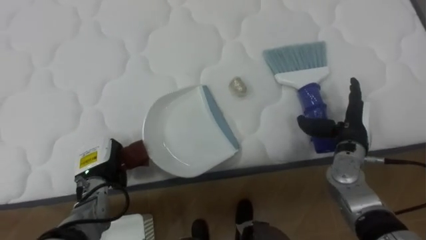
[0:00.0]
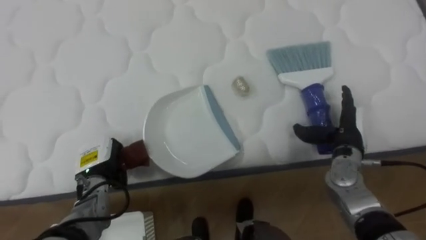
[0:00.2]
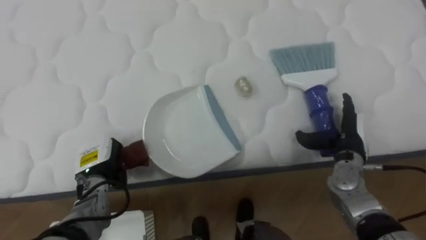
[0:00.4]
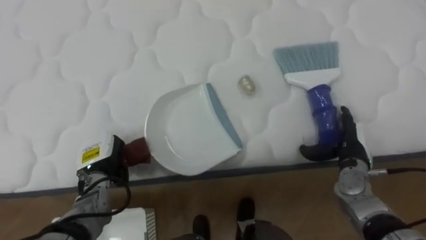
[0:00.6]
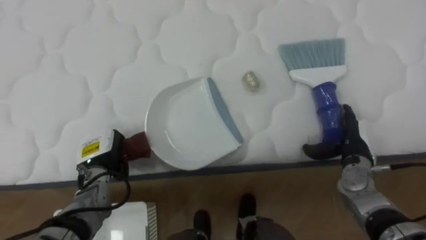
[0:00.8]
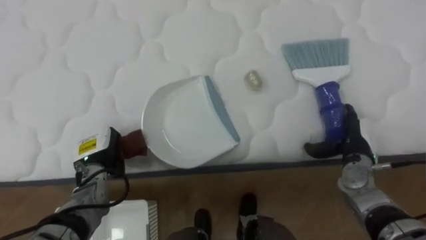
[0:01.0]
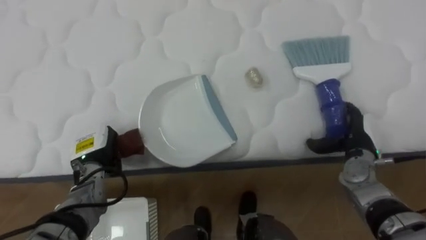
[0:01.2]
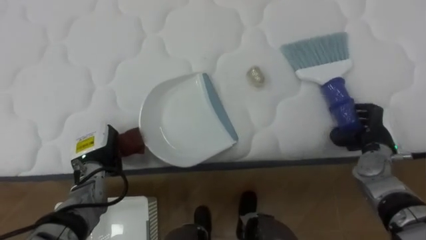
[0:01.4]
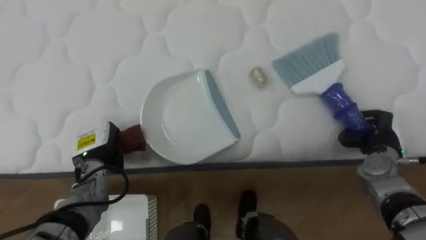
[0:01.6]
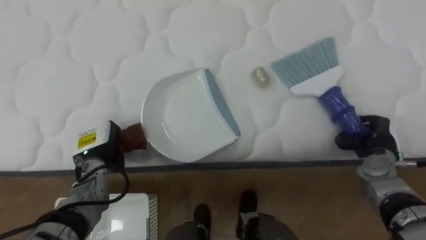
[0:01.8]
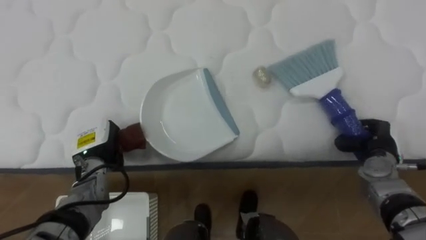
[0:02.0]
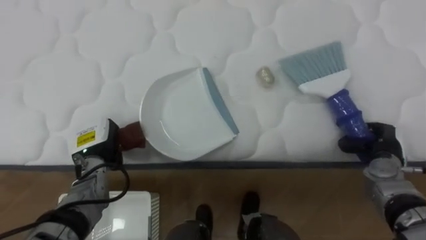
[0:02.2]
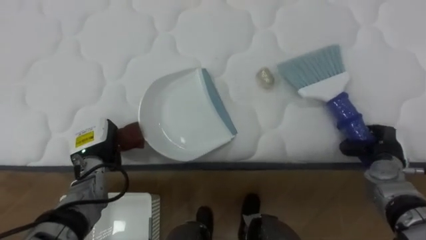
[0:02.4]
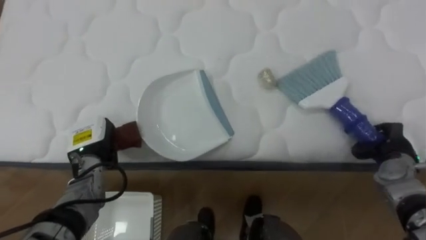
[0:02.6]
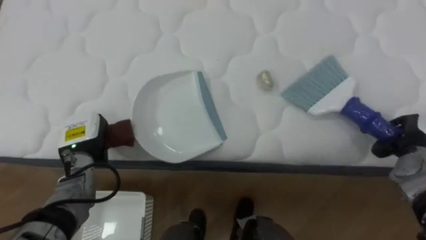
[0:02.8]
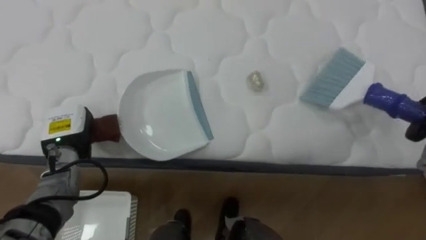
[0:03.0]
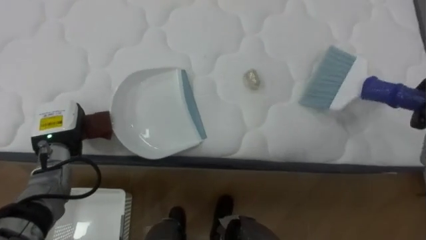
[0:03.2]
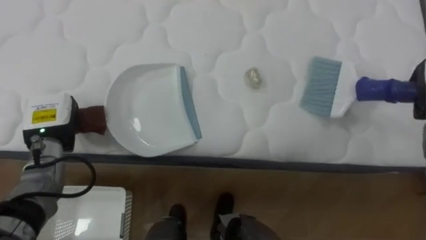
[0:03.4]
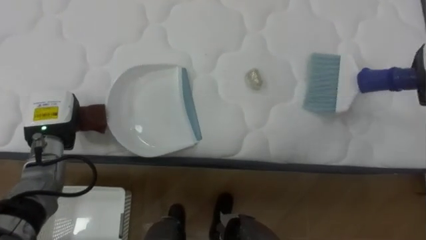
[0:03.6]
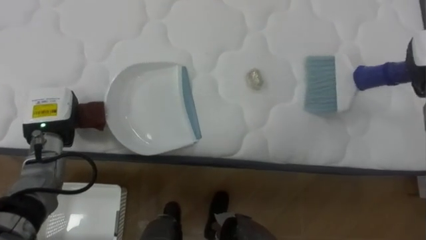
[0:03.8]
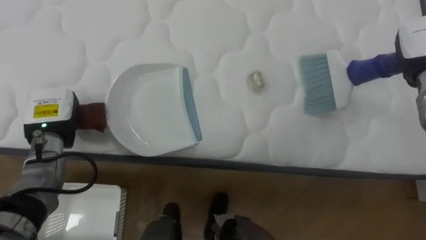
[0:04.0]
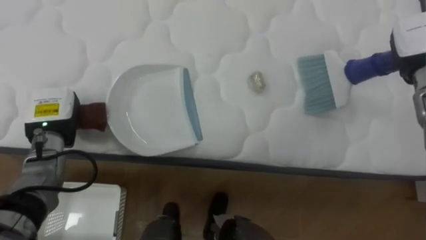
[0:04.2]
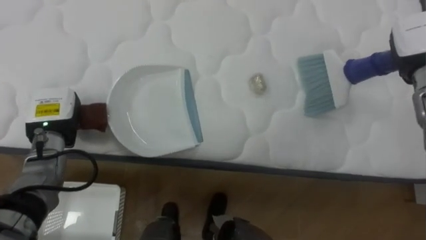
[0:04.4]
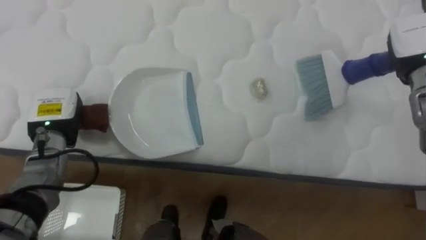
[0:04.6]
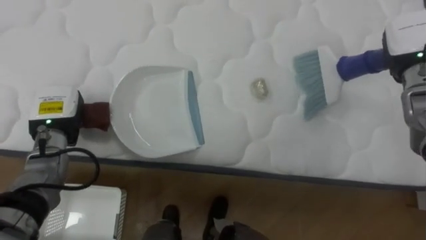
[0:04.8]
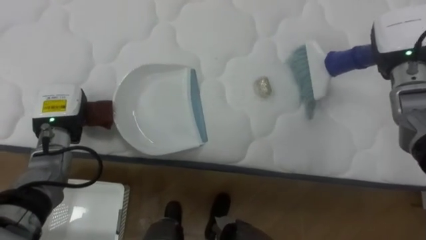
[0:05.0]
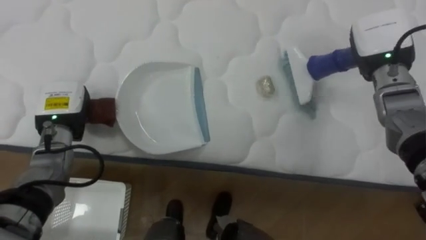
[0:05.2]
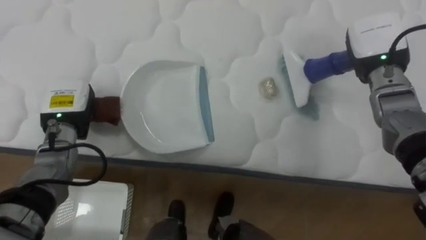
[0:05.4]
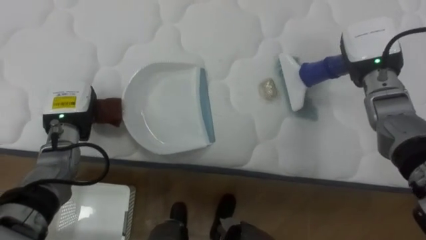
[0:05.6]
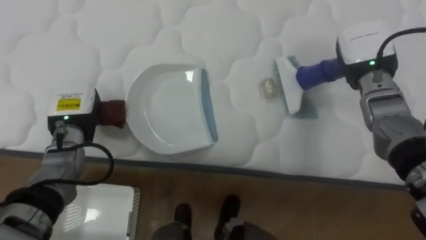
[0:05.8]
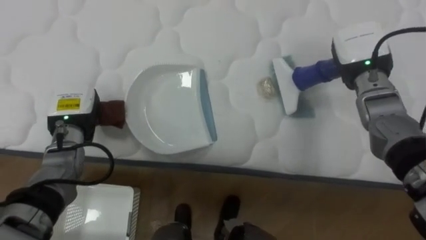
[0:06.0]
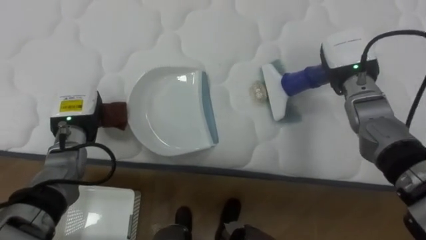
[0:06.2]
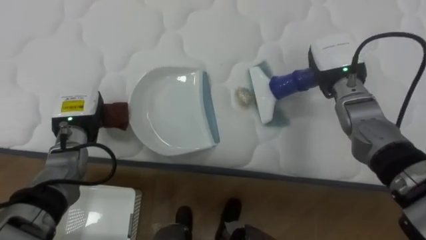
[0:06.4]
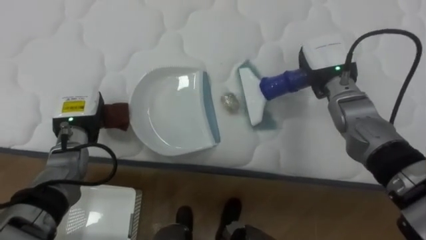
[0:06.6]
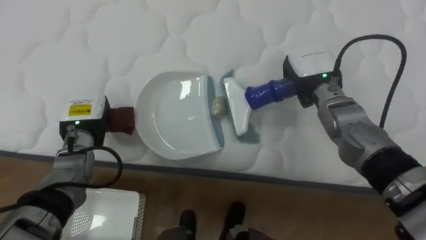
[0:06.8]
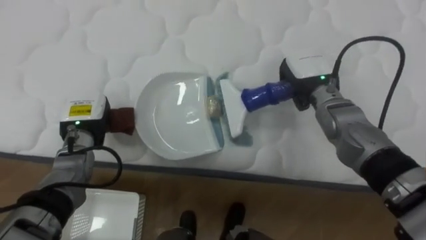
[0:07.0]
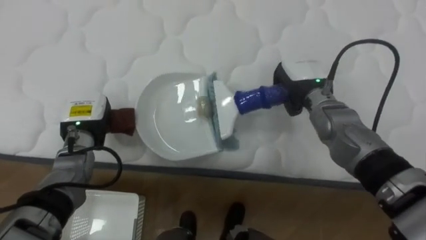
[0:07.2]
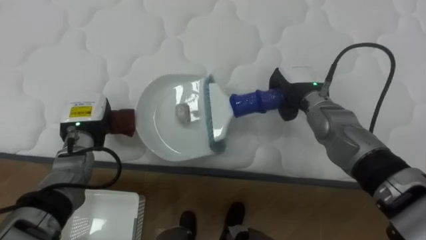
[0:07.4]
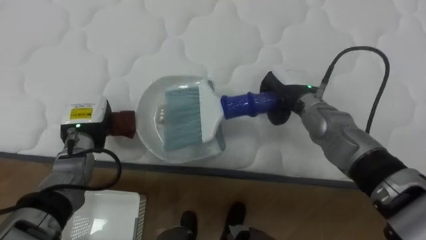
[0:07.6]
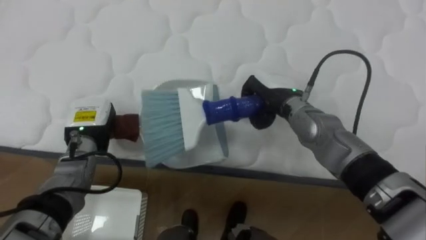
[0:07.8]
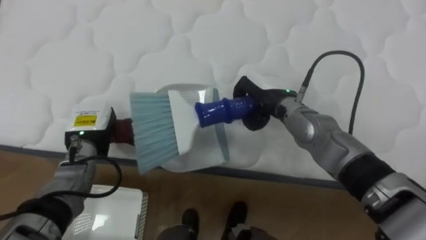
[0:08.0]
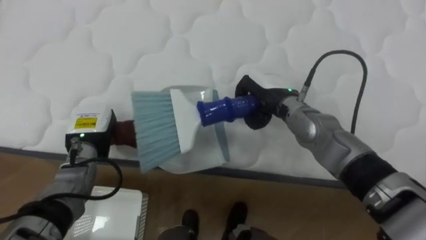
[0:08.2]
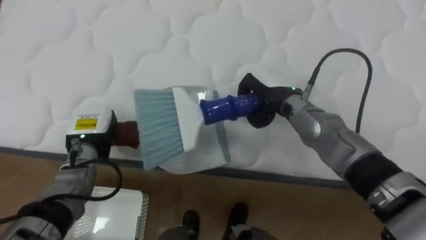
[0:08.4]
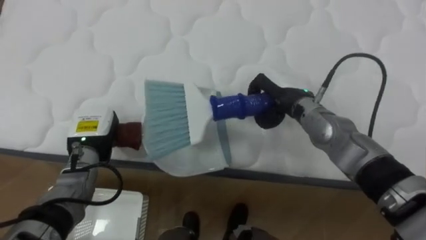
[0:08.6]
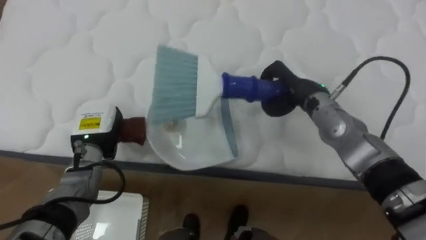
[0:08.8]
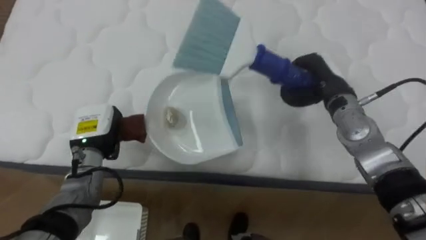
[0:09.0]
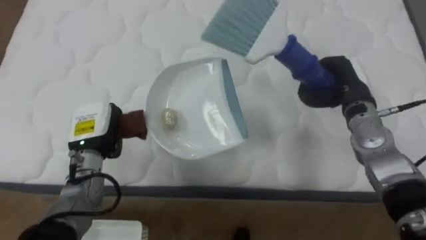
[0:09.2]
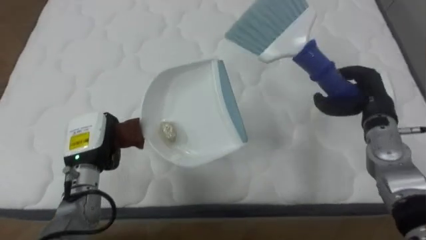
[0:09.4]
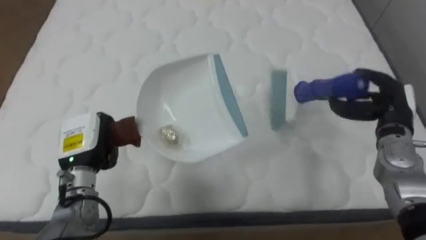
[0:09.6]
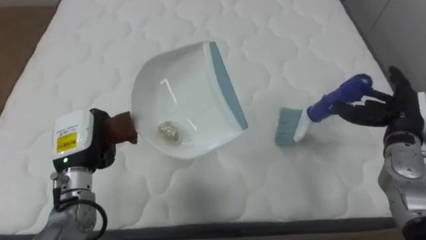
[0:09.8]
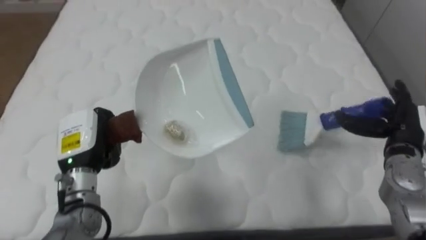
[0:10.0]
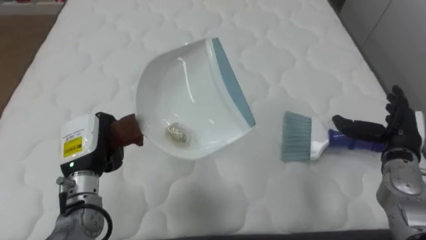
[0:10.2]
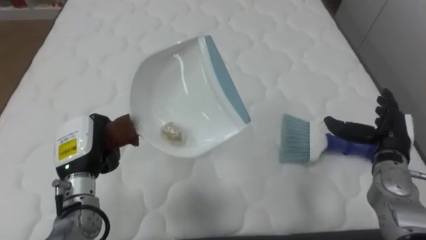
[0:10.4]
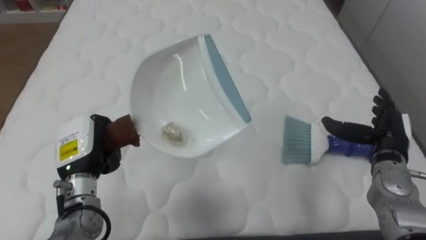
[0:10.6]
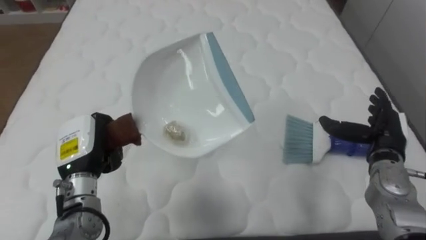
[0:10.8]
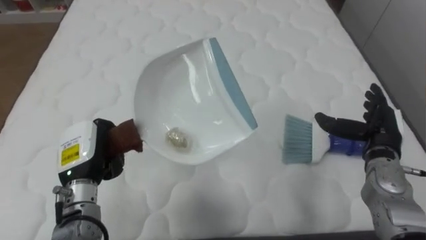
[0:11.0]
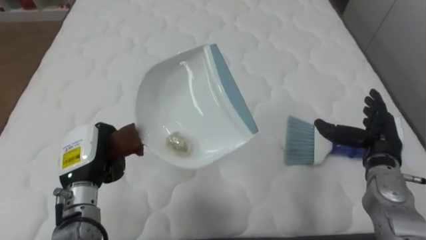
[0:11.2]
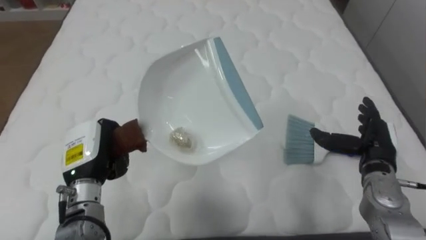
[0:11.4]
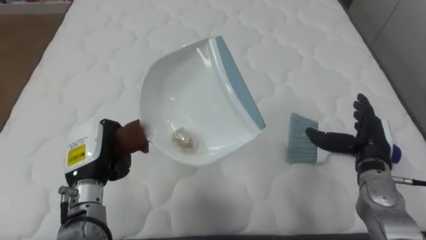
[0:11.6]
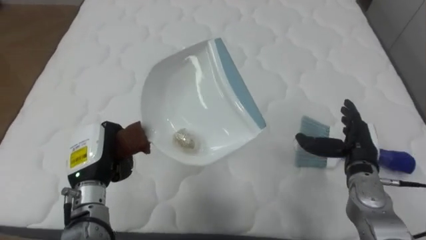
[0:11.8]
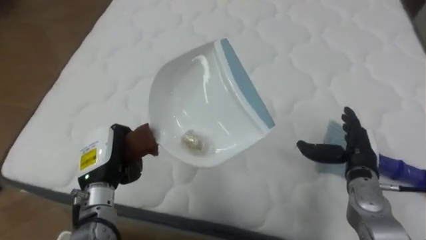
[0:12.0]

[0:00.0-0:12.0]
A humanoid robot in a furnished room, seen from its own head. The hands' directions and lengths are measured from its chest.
Task of the whole recording: Pick up the brush on your right and the dustpan on your left. Use the brush to sweep the crumpled paper on the bed into the dustpan, then turn left and empty it into the basket.
0:00.0 to 0:01.6: The right hand heads to the right, covering roughly 5 cm, and closes.
0:01.6 to 0:03.0: The left hand moves some 5 cm.
0:04.4 to 0:06.0: The right hand moves to the left, about 10 cm.
0:06.0 to 0:07.6: The right hand goes about 10 cm to the left and downward.
0:07.6 to 0:09.0: The right hand is displaced to the right by approximately 5 cm.
0:09.0 to 0:10.4: The right hand shifts about 15 cm to the right, backward and downward, and opens. The left hand goes approximately 5 cm backward.
0:10.4 to 0:12.0: The right hand heads to the left, covering approximately 5 cm.

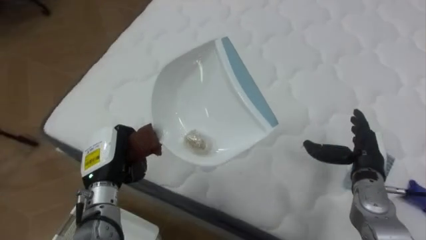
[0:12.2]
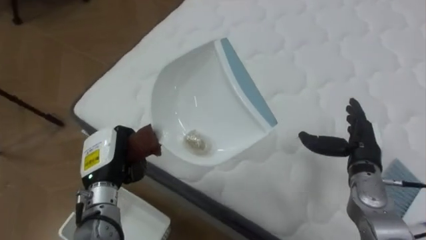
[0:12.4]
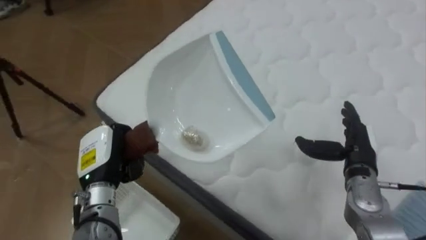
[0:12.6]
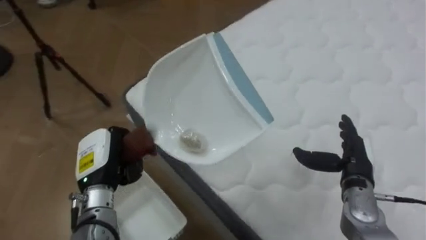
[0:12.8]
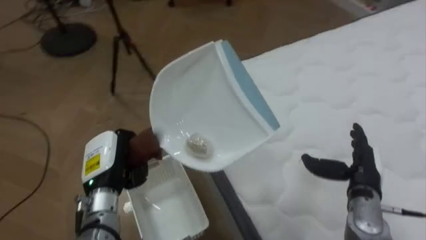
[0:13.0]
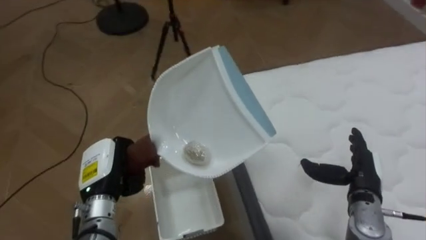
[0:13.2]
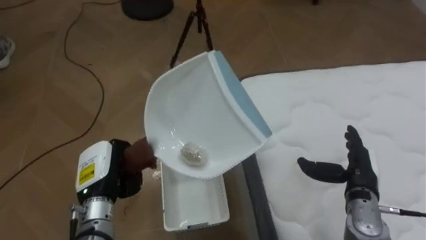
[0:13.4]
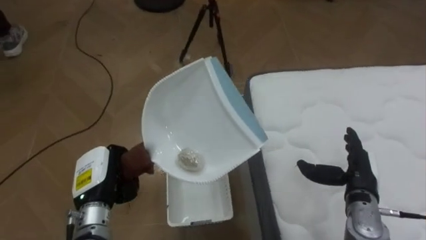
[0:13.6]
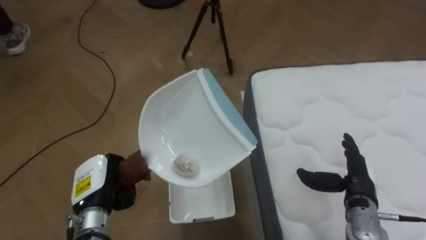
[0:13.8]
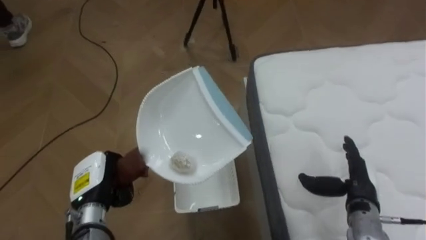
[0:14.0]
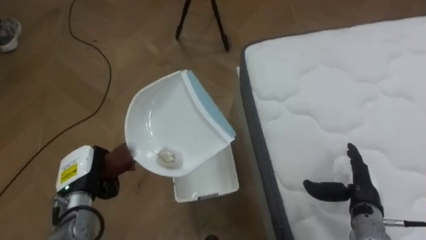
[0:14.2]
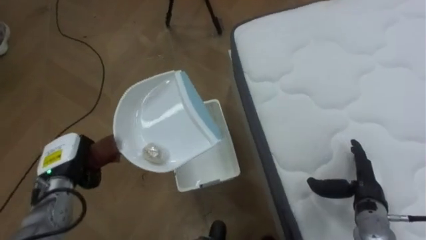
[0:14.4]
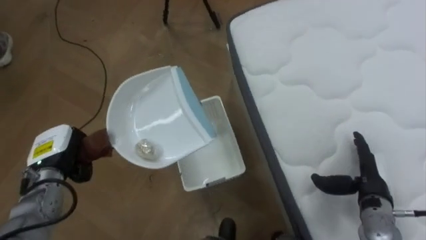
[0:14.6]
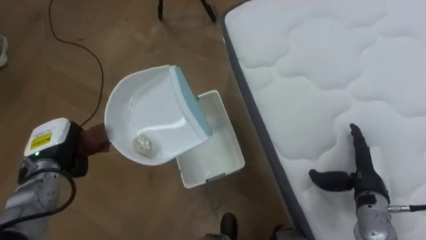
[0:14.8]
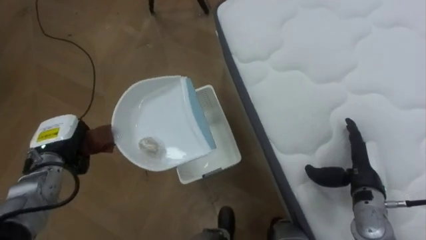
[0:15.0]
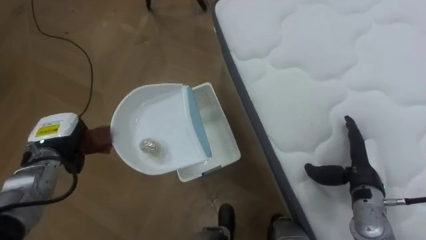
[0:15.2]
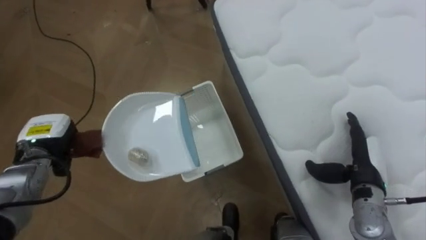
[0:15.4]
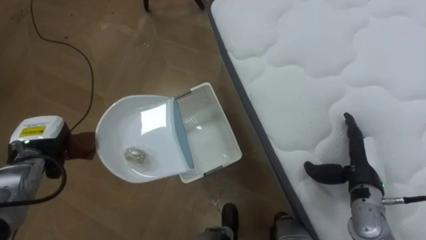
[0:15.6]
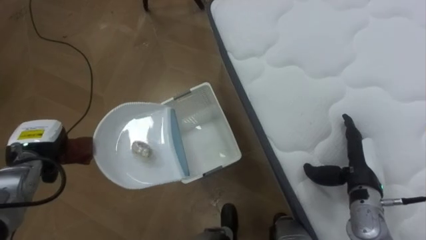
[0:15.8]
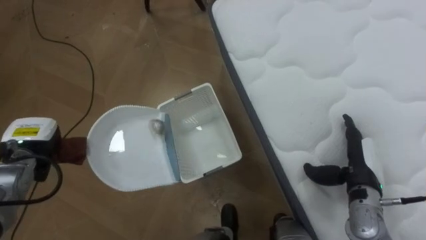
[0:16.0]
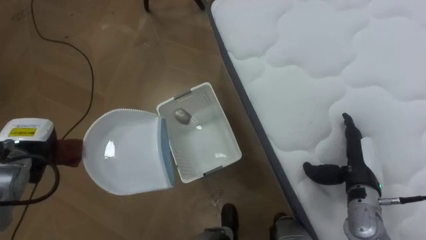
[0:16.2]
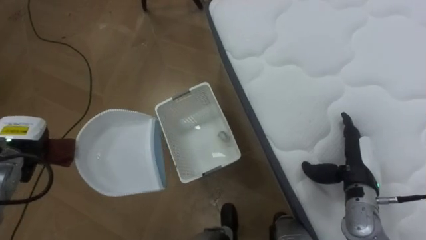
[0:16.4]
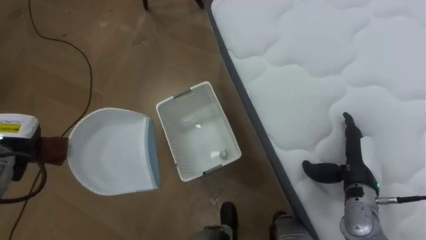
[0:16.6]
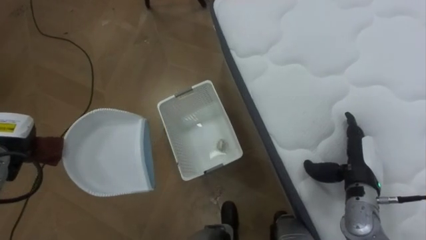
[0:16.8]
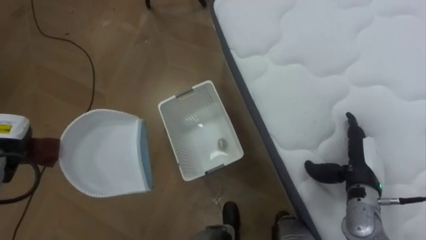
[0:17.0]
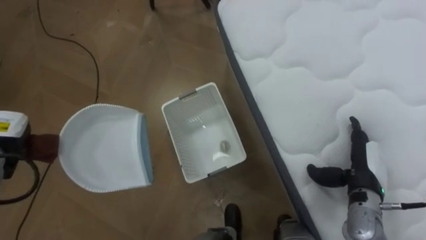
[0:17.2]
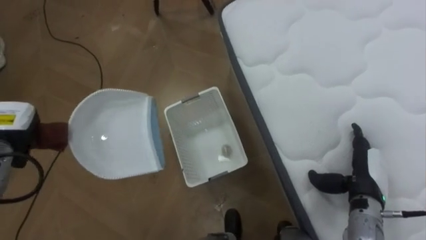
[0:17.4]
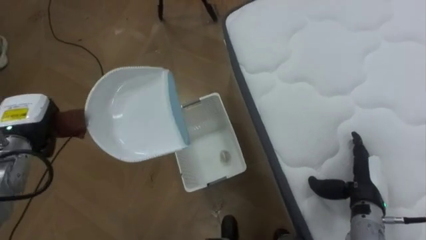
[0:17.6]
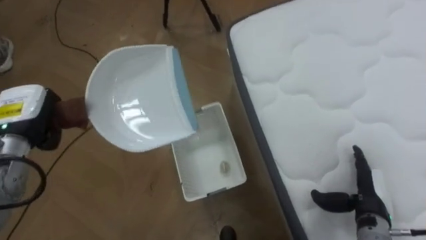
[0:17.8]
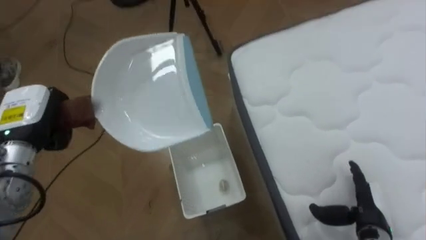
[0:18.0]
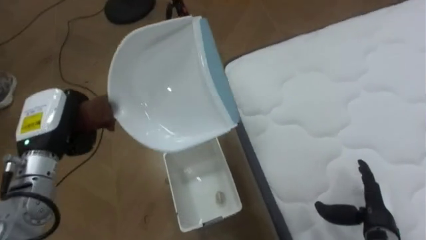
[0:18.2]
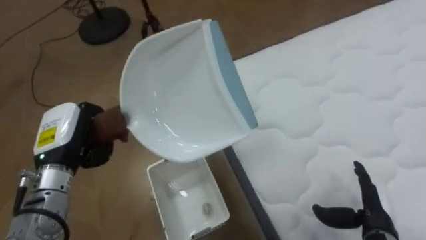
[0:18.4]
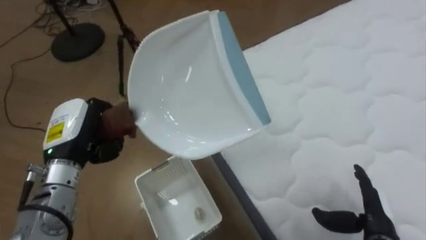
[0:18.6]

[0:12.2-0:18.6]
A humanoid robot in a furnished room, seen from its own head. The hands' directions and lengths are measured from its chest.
Task of the whole recording: Pick up the brush on your right and the dustpan on your left. Use the brush to sweep the crumpled paper on the bed into the dustpan, then turn left and empty it into the basket.
0:12.2 to 0:13.8: The robot turns to its left by some 60 degrees. The left hand changes place by some 5 cm.
0:13.8 to 0:15.4: The left hand shifts approximately 15 cm to the left and forward.
0:17.0 to 0:18.6: The right hand heads backward, covering about 10 cm.
